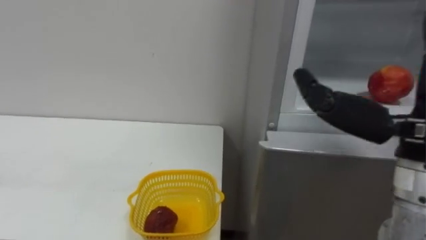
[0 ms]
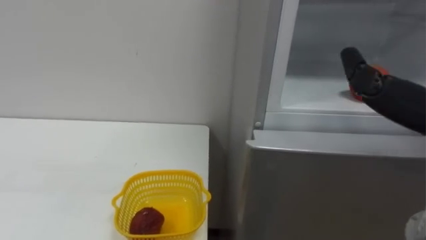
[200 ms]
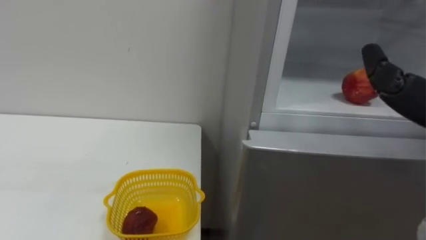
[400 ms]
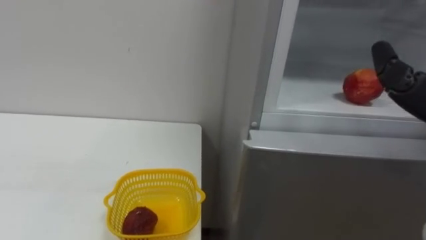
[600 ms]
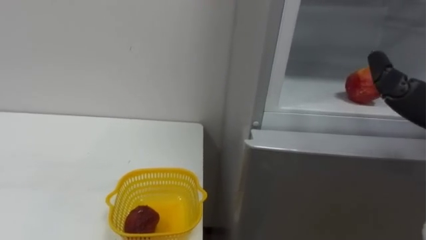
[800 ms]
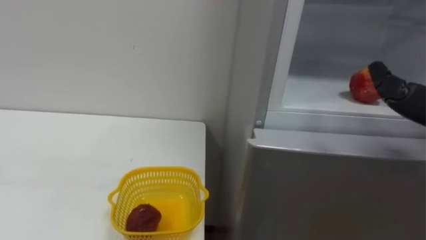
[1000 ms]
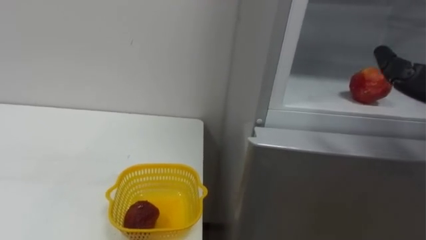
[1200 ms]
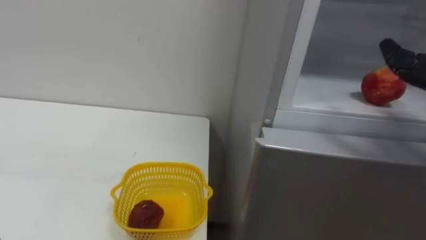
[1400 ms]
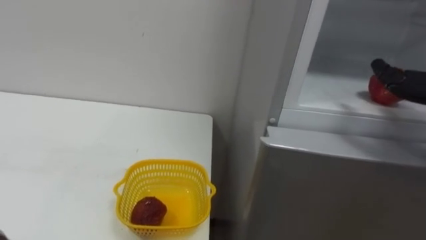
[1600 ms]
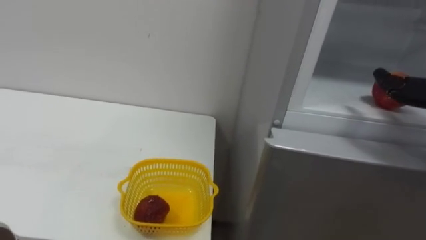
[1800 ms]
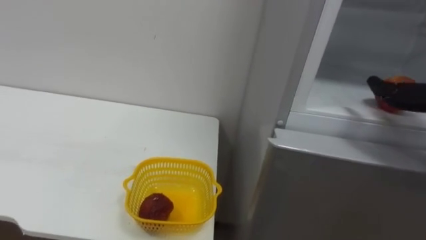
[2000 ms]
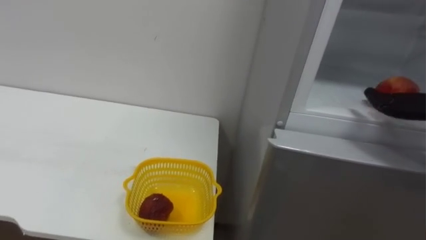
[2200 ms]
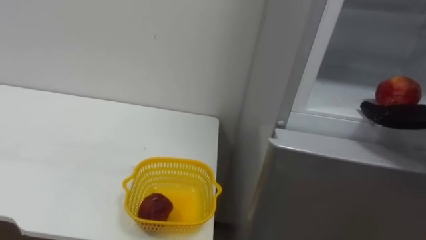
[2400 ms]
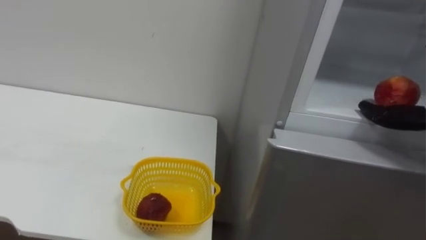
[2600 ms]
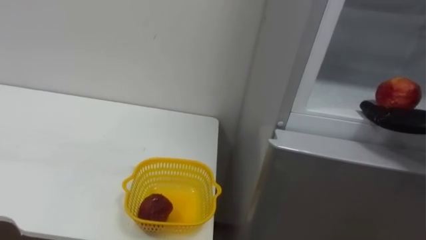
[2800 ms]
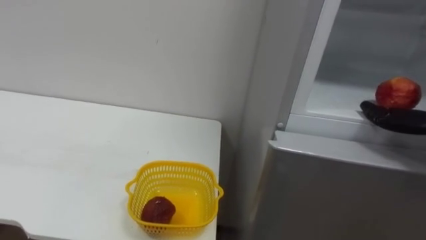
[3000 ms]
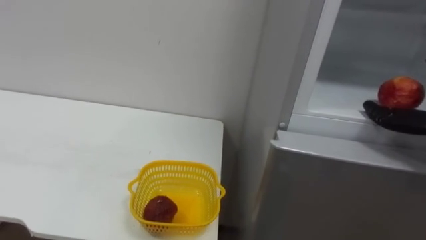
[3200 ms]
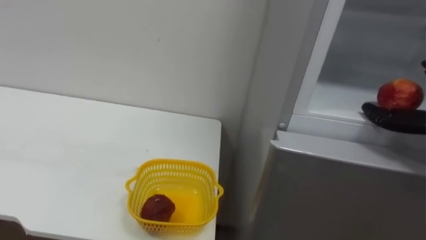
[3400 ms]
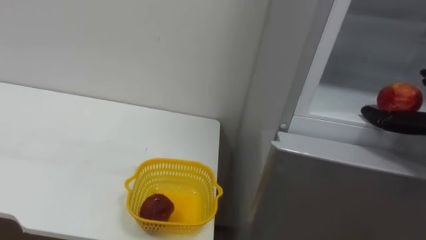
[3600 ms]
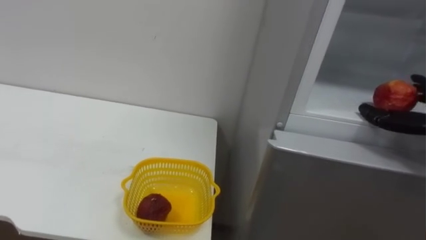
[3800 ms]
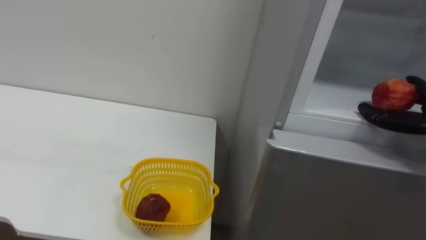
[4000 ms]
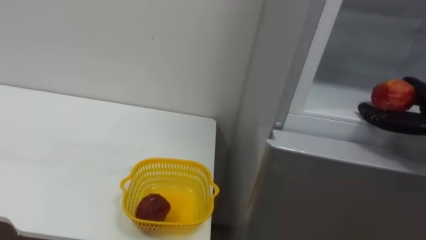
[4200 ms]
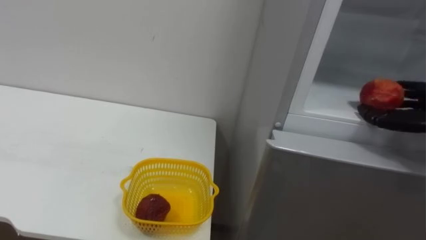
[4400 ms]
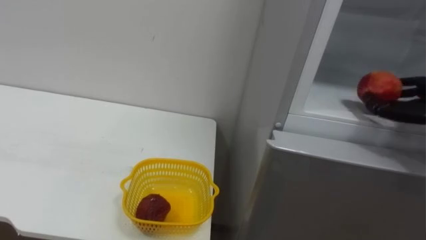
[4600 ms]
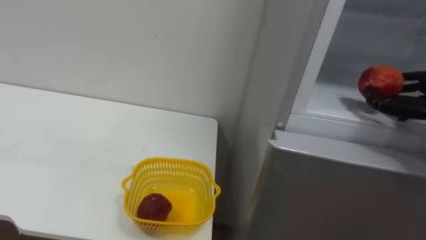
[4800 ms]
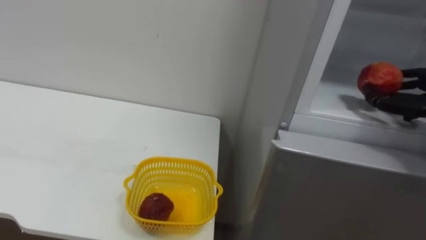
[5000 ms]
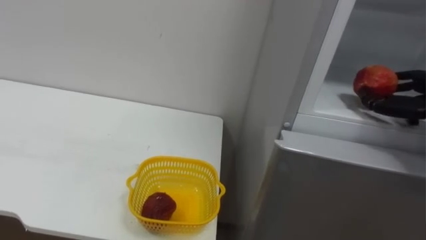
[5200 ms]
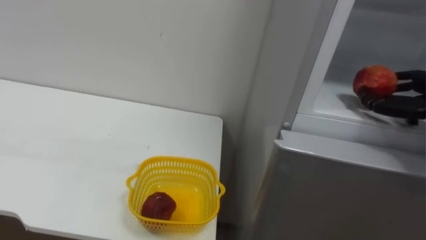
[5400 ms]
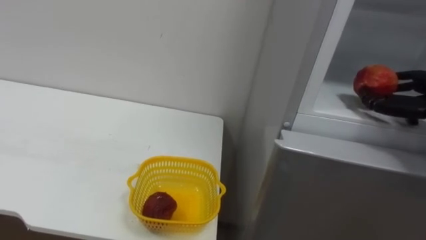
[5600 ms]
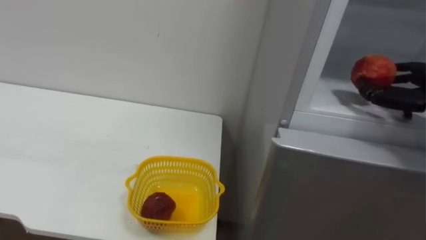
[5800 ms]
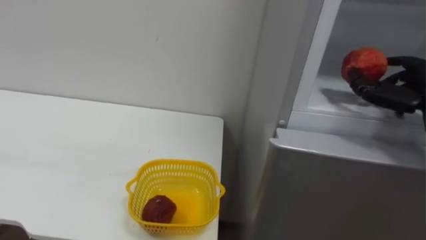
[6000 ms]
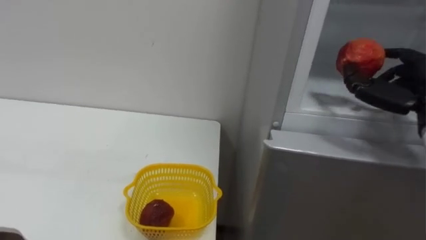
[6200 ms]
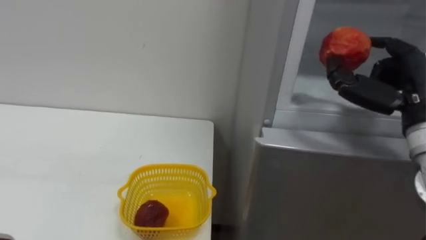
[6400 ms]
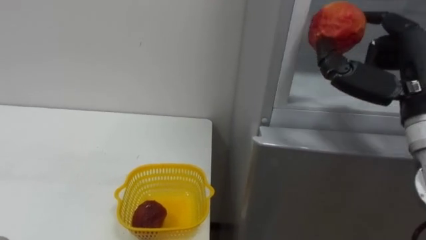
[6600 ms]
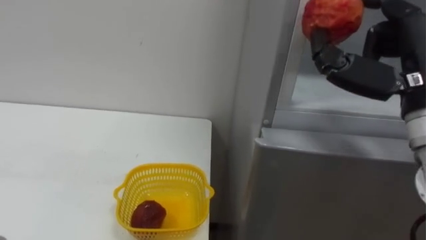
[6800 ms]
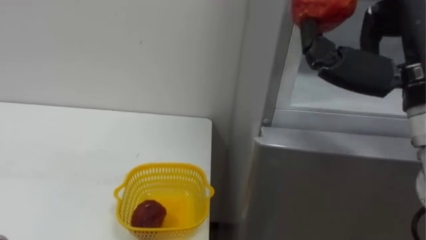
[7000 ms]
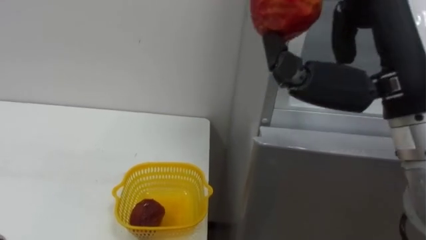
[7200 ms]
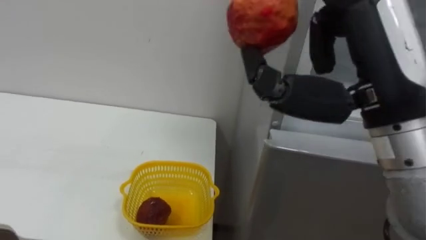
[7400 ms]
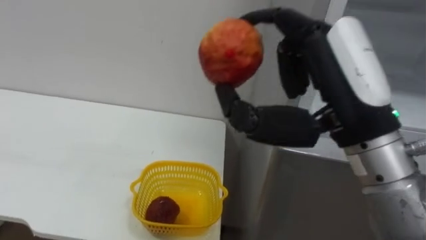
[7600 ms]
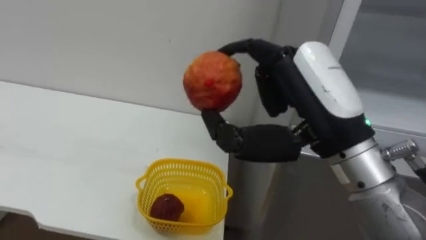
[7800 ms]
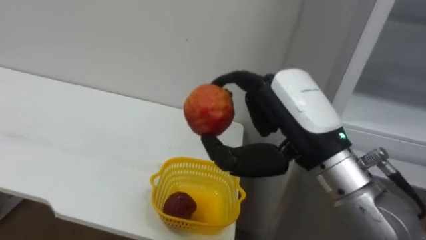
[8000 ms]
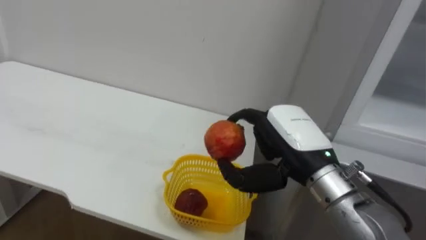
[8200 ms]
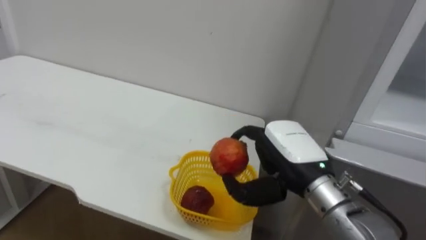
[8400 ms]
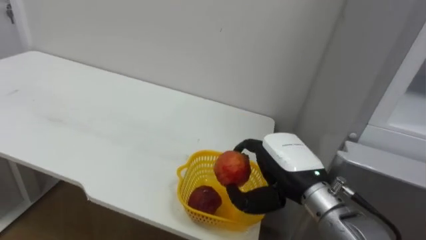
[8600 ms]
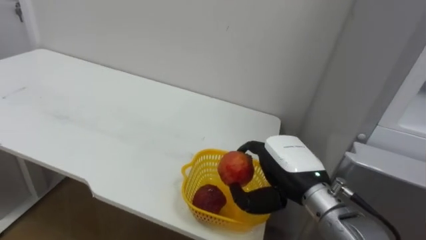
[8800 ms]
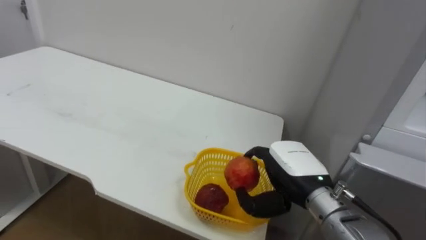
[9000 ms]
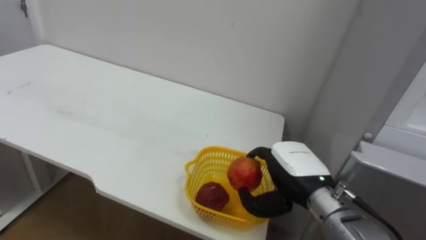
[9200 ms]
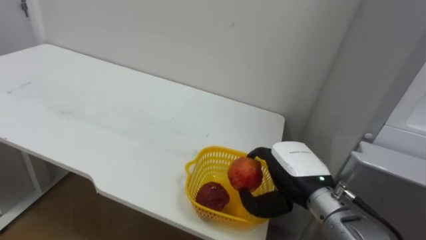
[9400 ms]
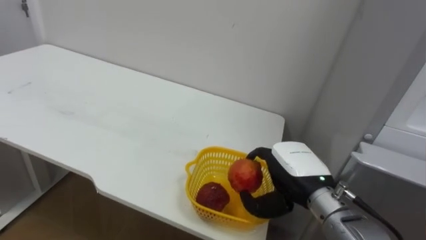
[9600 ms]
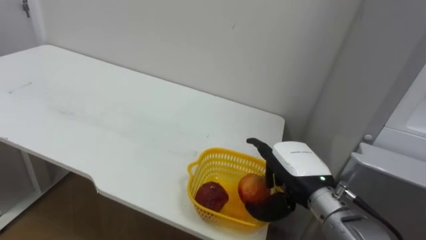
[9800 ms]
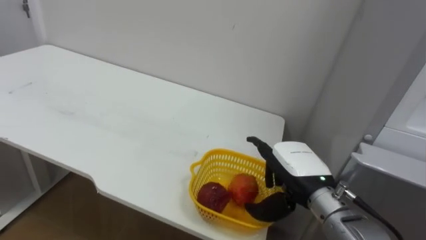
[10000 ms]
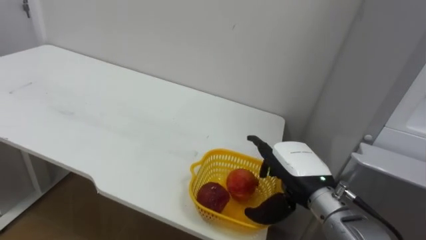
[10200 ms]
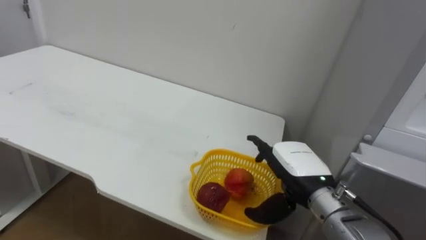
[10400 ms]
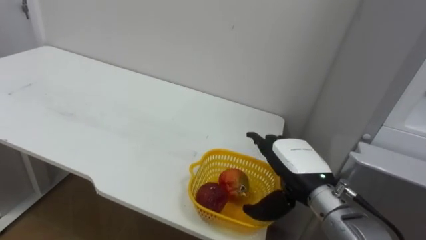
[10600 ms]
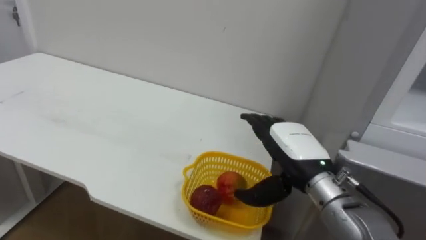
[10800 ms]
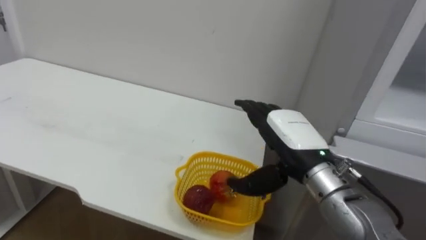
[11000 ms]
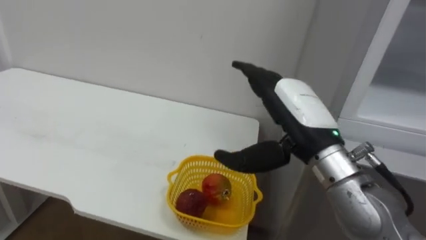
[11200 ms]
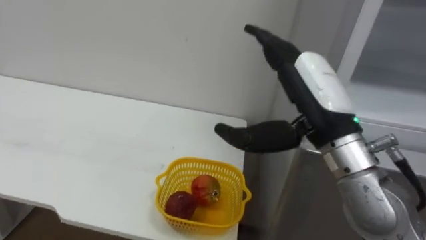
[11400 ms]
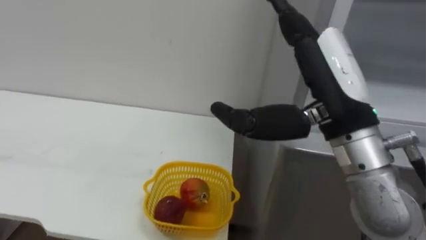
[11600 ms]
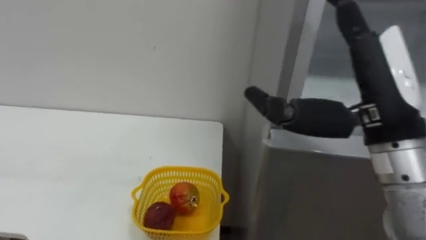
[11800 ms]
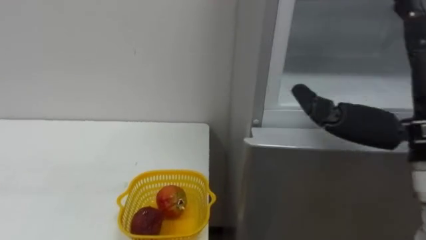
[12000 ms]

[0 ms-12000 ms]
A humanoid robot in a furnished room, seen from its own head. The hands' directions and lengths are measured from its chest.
Task of the whole recording: Open the refrigerator door, take out the apple and the pomegranate, place them in the fruit basket on the left, and close the refrigerator door.
7600 ms to 9000 ms: The right hand moves downward and forward, approximately 20 cm.
9000 ms to 10400 ms: The right hand opens.
10400 ms to 12000 ms: The right hand travels upward, backward and to the right by about 20 cm.

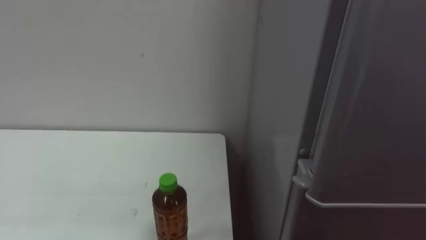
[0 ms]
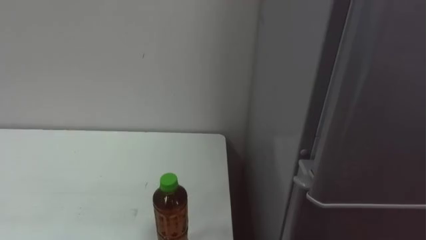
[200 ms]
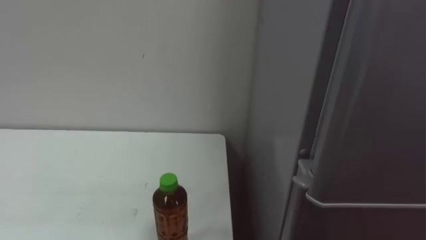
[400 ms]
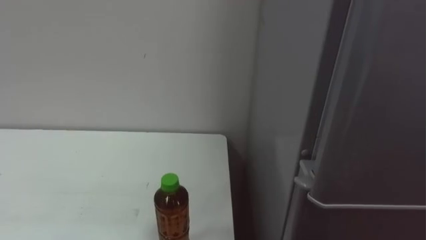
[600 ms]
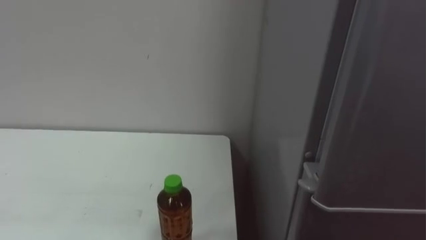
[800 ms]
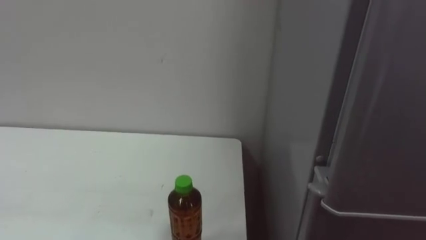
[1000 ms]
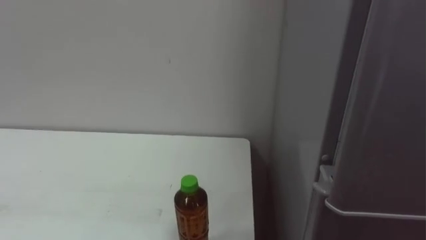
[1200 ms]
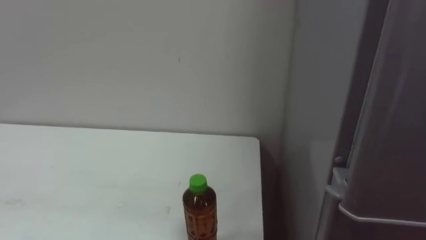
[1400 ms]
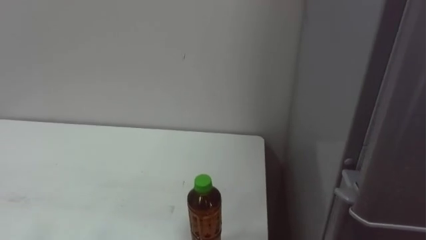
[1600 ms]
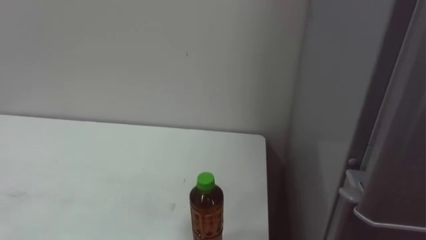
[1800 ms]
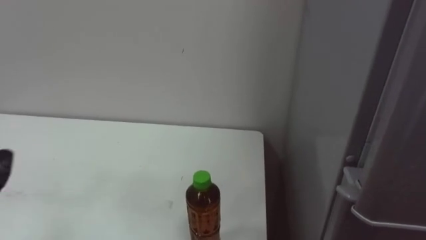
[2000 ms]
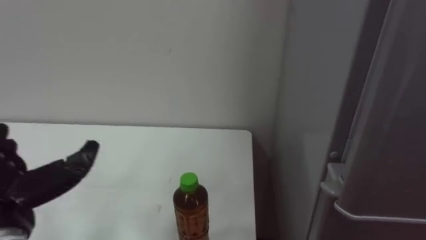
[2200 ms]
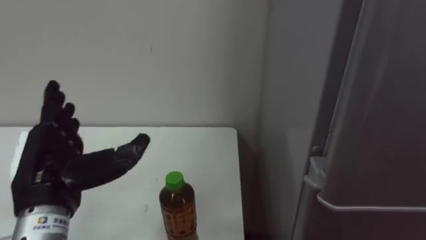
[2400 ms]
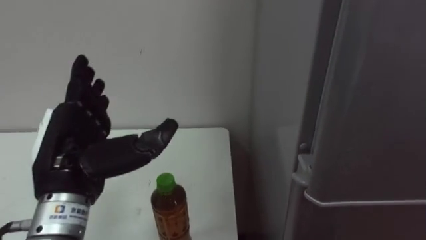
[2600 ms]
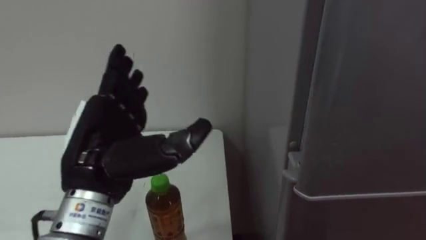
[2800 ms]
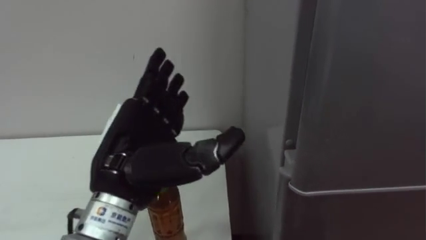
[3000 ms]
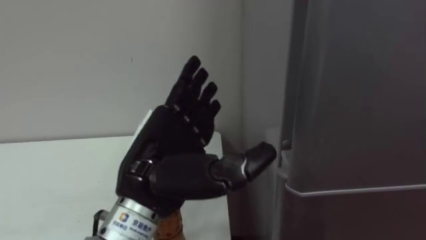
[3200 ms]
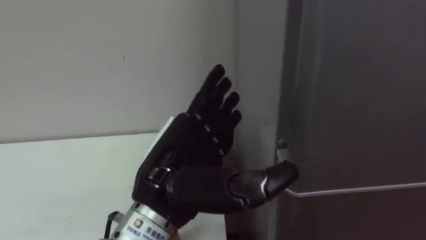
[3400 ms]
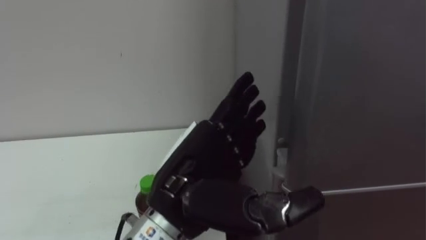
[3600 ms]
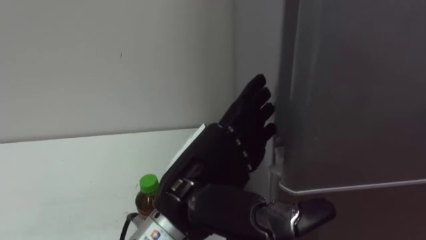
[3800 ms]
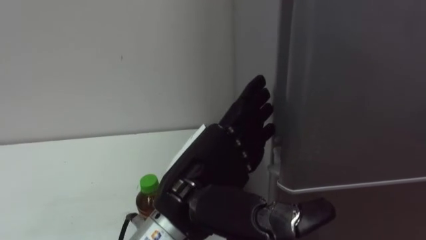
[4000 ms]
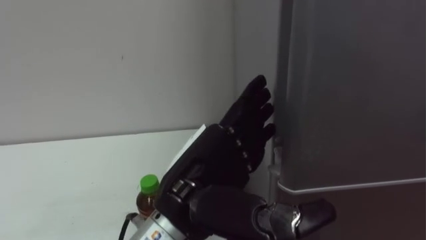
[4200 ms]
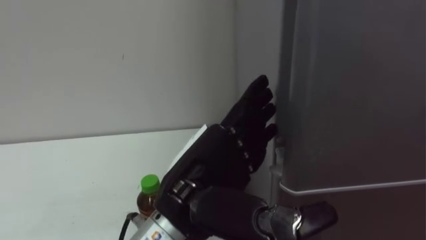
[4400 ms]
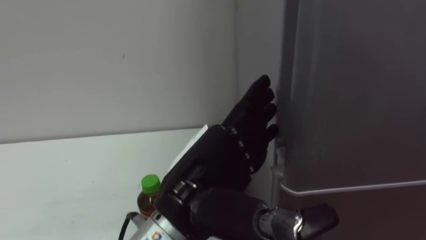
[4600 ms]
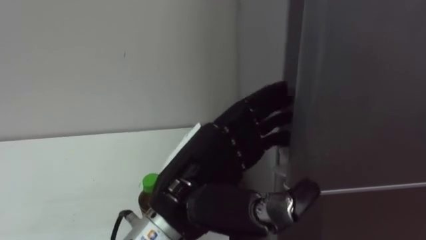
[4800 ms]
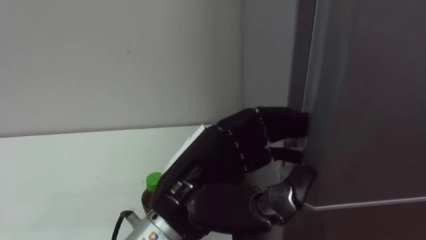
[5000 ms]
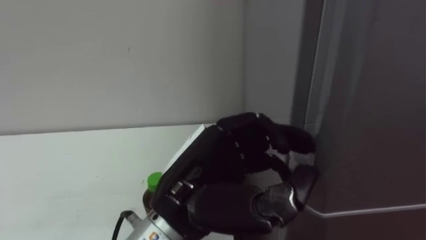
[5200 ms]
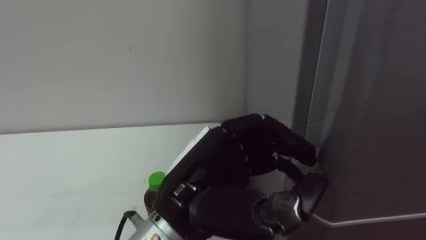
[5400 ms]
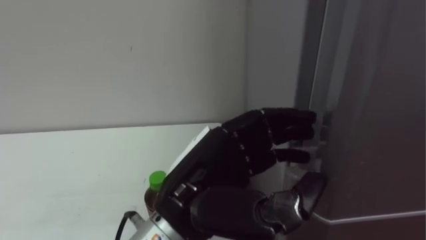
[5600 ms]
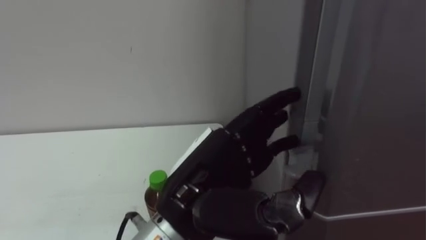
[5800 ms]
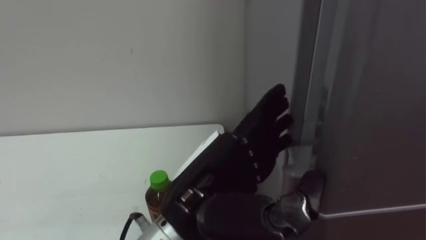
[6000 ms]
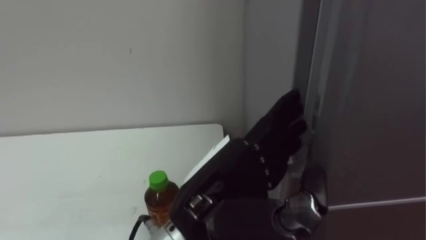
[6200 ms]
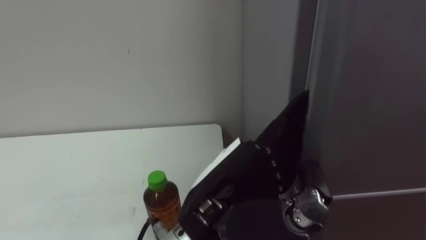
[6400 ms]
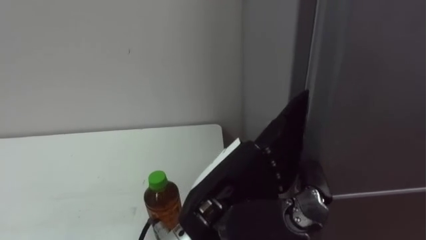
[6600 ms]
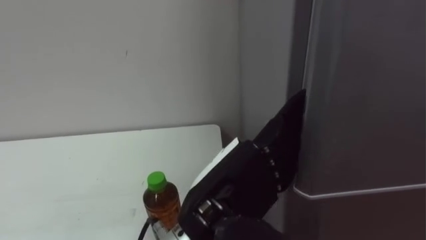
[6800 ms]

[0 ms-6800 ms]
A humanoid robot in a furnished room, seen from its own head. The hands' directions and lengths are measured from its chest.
Task of the whole recording: Open the upper refrigerator door, put the drink from the table into the refrigerator, and then close the refrigerator door.
2800 ms to 4000 ms: The left hand shifts approximately 10 cm to the right.
4000 ms to 5400 ms: The left hand closes up.
5400 ms to 6800 ms: The left hand opens up.
